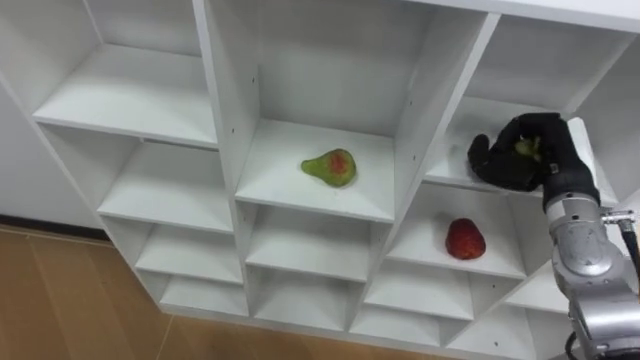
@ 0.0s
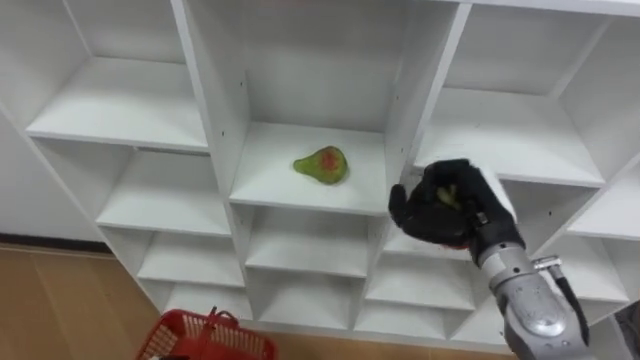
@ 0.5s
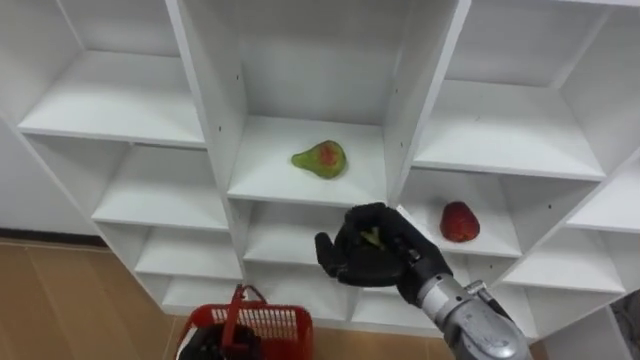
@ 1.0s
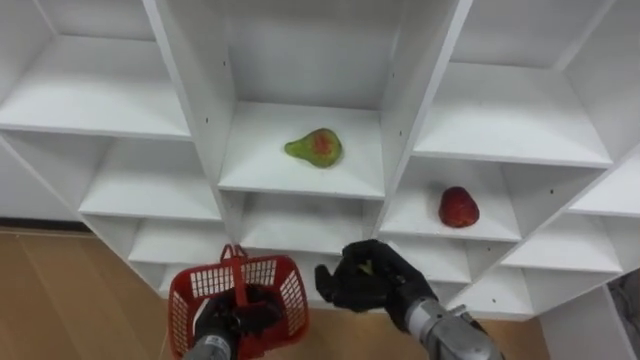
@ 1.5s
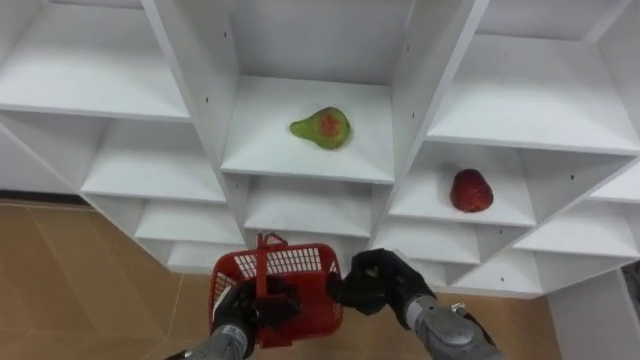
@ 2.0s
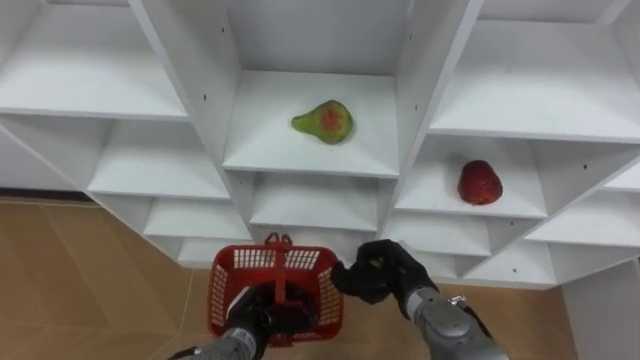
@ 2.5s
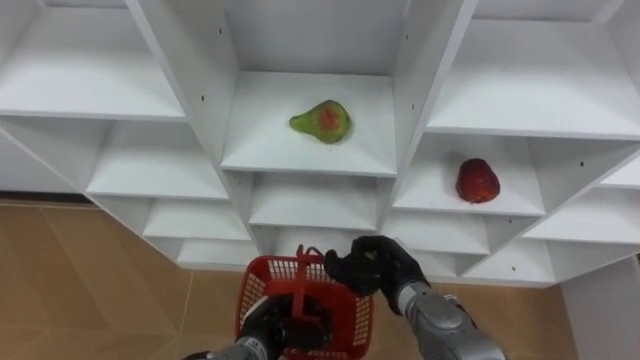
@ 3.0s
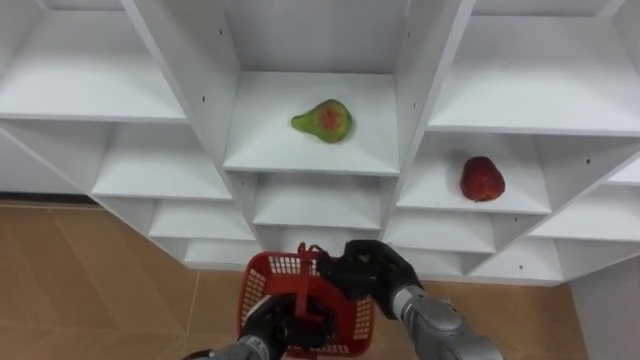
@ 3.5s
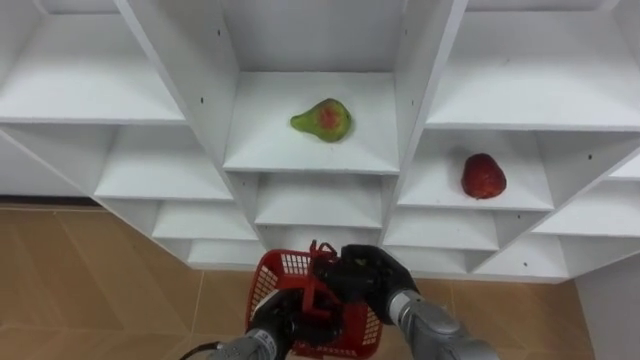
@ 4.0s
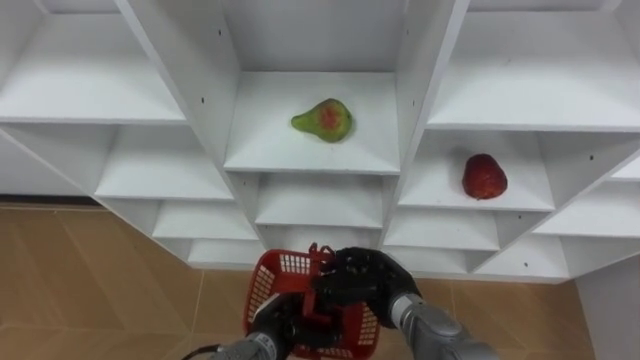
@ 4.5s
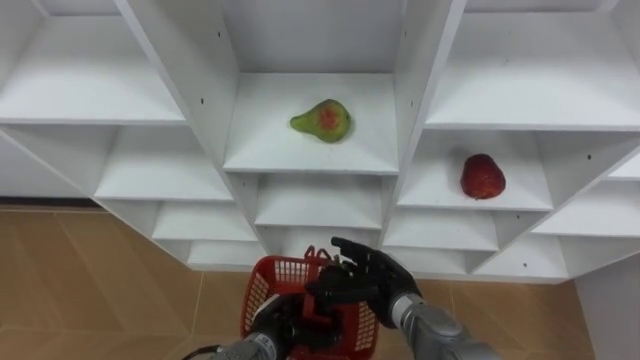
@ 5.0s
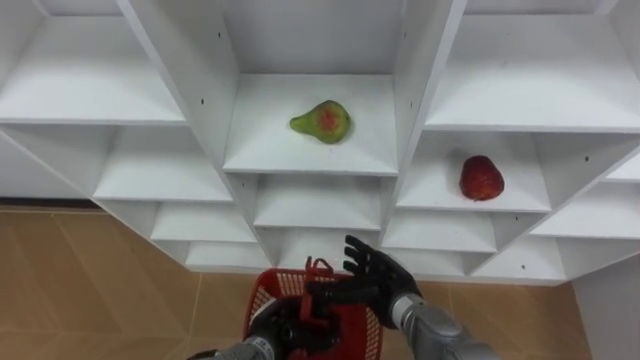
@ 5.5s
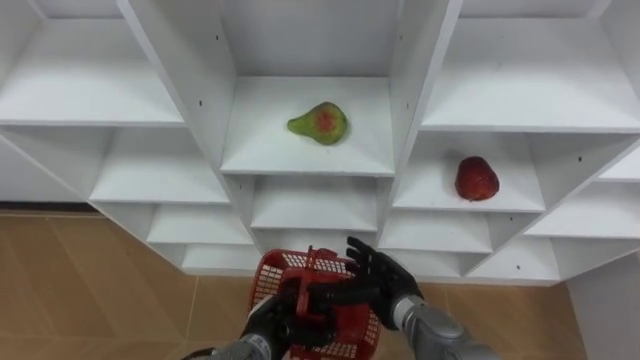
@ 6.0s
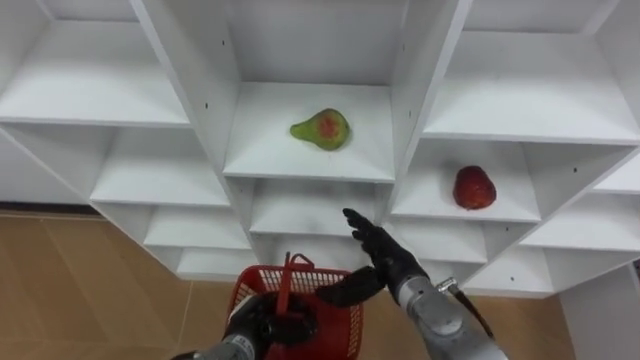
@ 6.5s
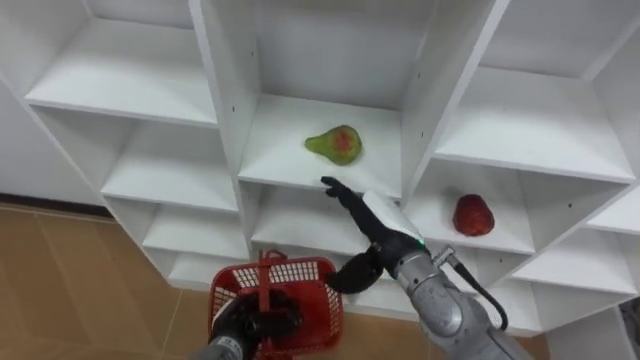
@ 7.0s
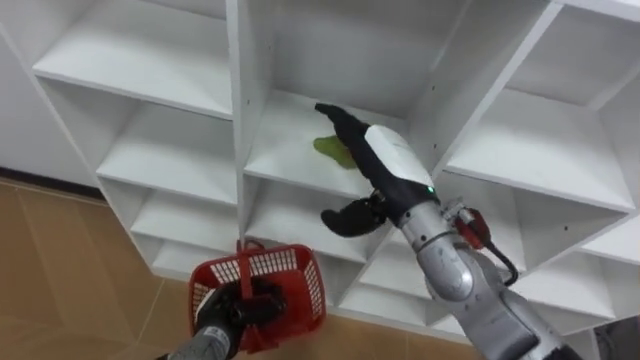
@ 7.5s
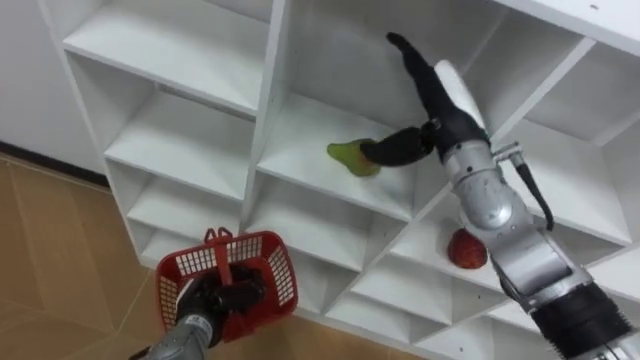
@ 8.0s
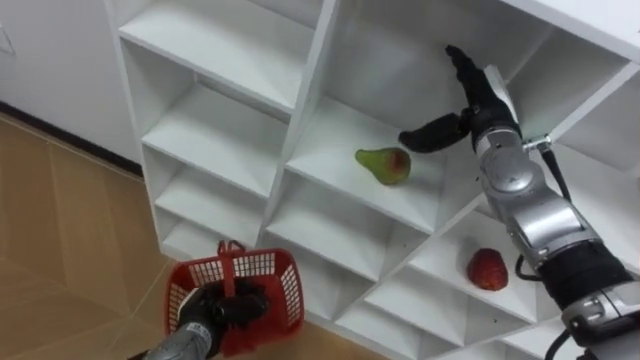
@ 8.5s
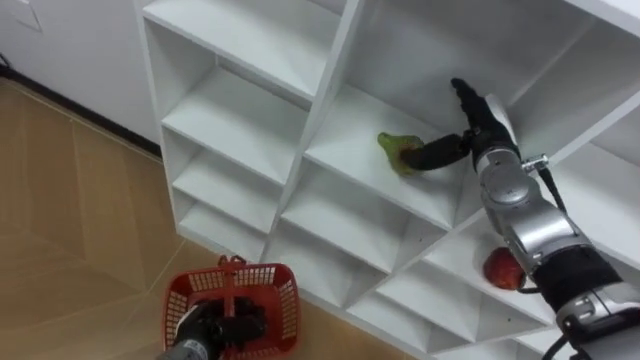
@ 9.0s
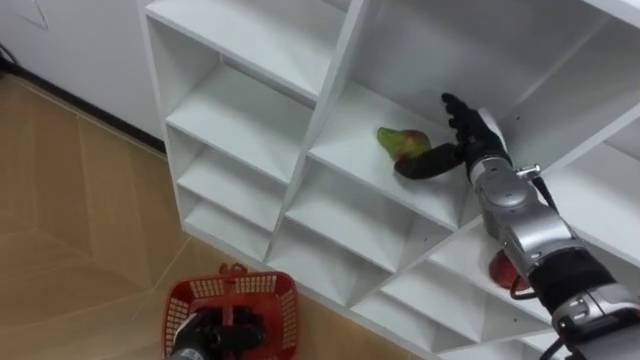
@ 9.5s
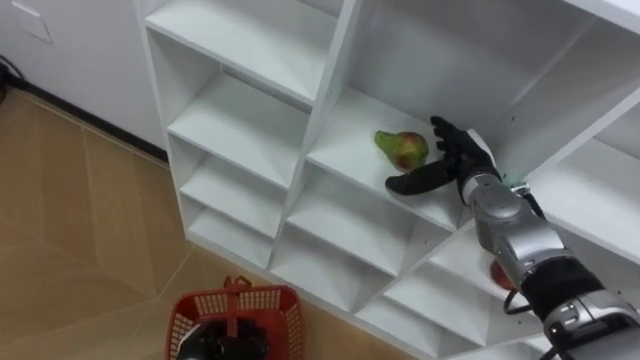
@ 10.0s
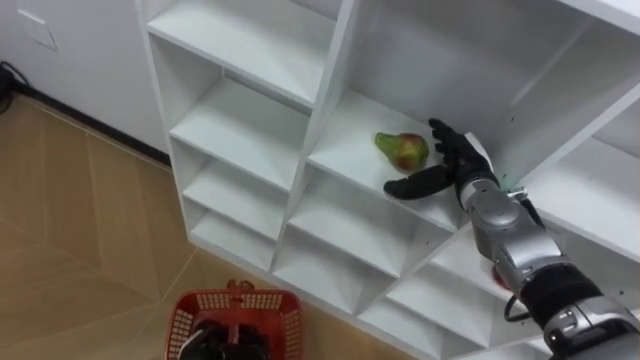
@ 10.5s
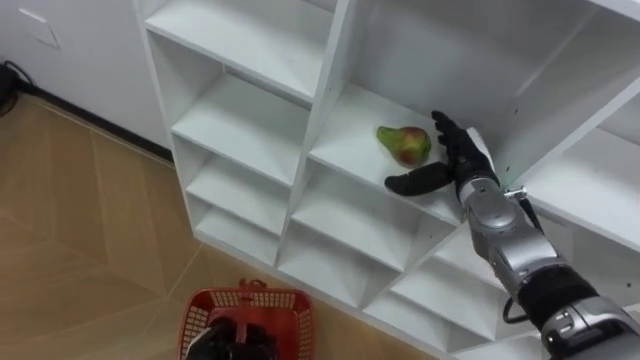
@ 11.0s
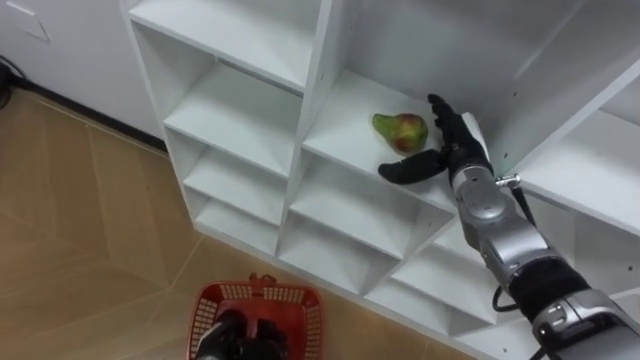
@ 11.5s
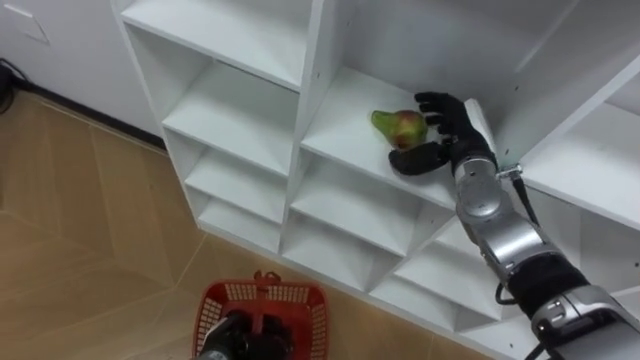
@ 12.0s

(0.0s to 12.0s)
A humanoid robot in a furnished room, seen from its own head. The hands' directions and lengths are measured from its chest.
Task of the whole recording: Hold the basket and collect the fruits from 3 different cells of the closet into it.
0.0s - 2.0s: The right hand goes about 25 cm to the left, downward and backward.
2.0s - 4.0s: The left hand heads to the right, covering roughly 5 cm.
4.0s - 6.0s: The right hand opens.
6.0s - 8.0s: The left hand is displaced to the left by about 10 cm, while the right hand shifts approximately 25 cm upward and forward.
8.0s - 10.0s: The left hand goes about 5 cm backward. The right hand goes about 15 cm downward and to the right.

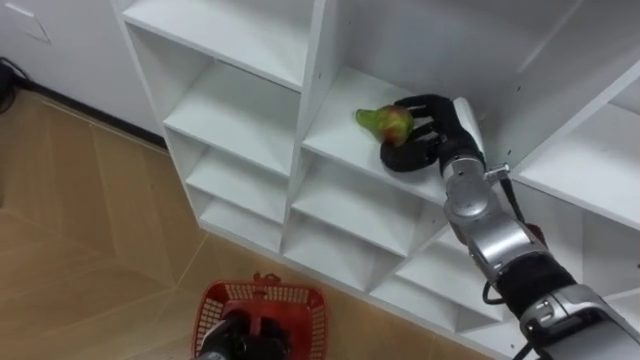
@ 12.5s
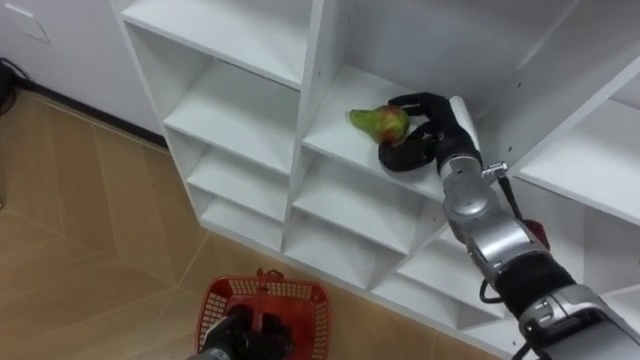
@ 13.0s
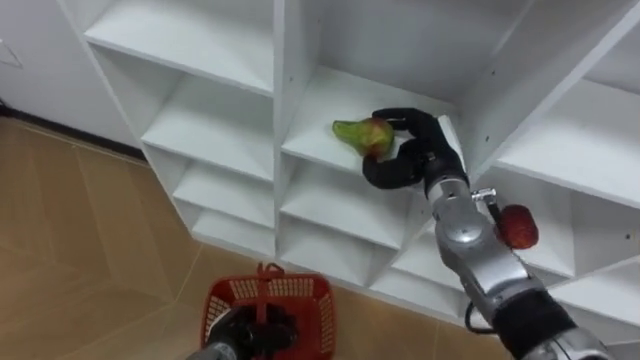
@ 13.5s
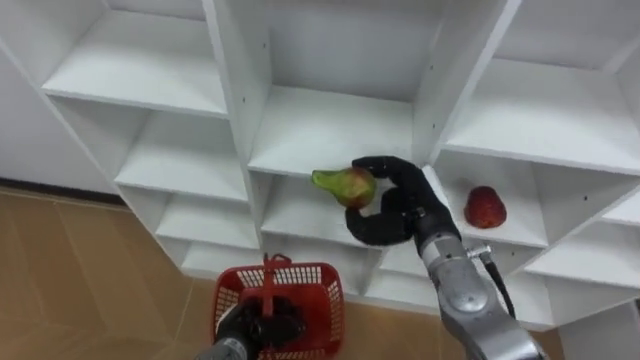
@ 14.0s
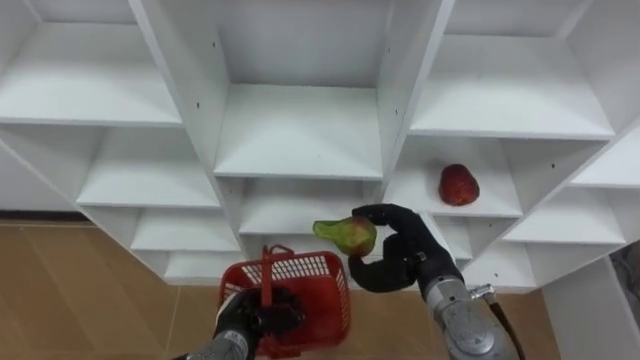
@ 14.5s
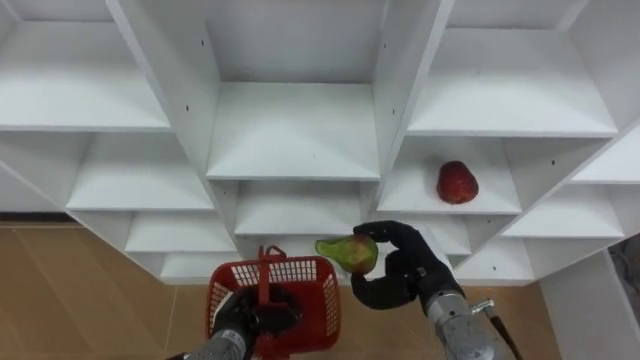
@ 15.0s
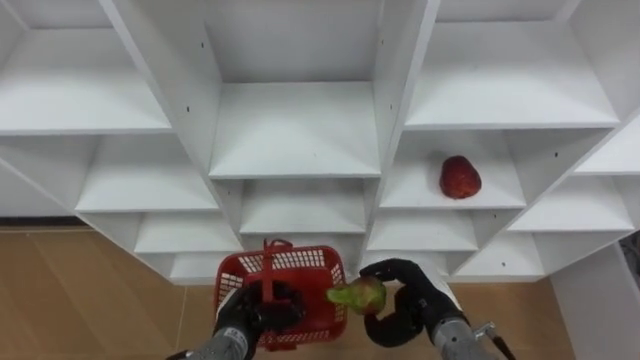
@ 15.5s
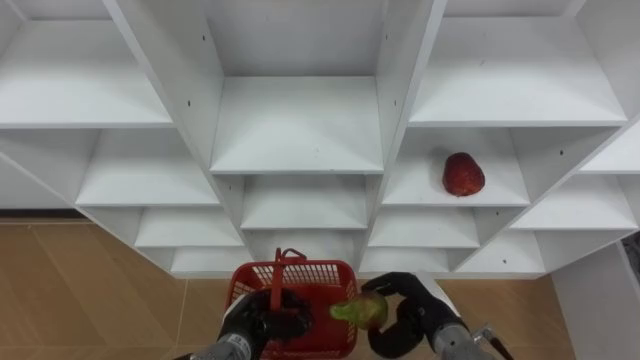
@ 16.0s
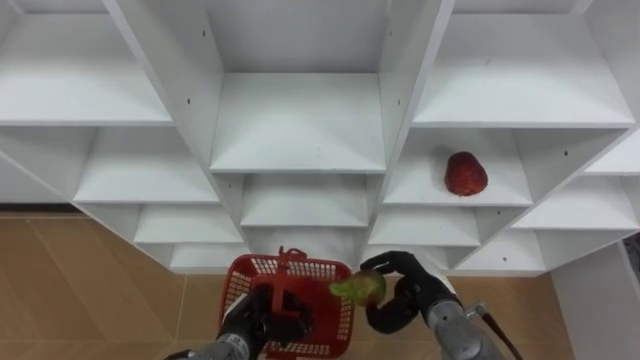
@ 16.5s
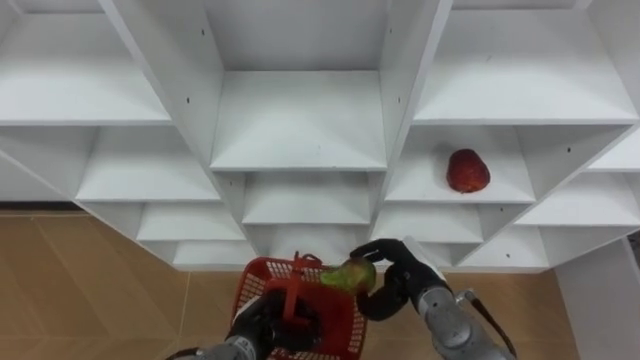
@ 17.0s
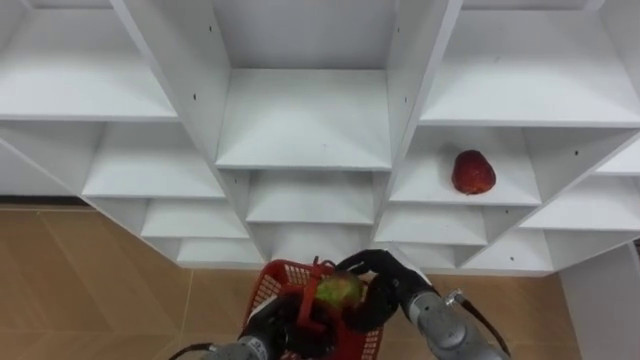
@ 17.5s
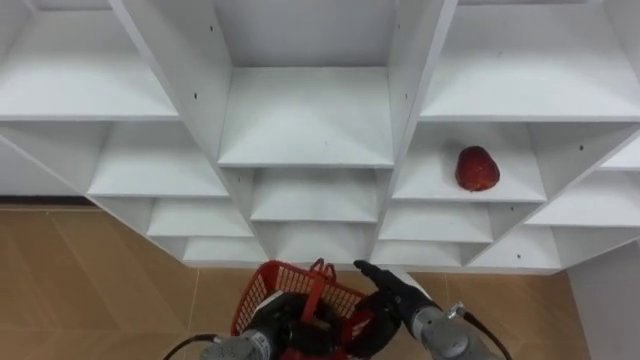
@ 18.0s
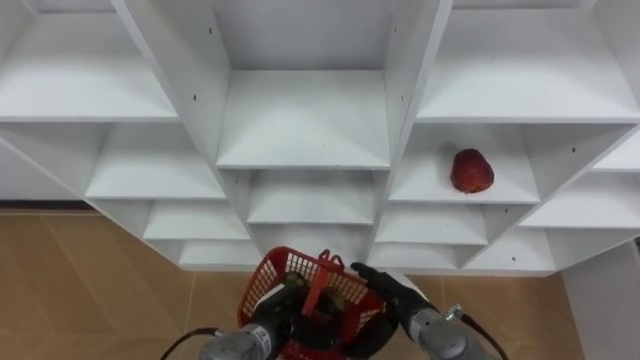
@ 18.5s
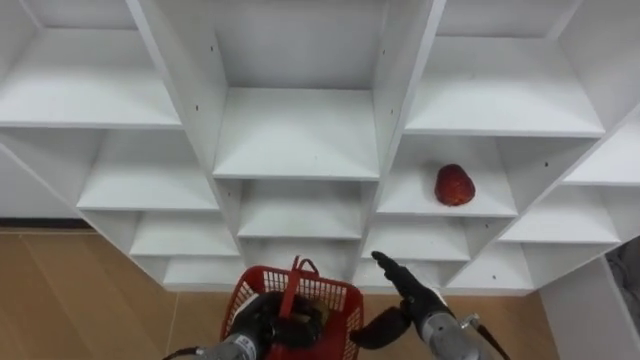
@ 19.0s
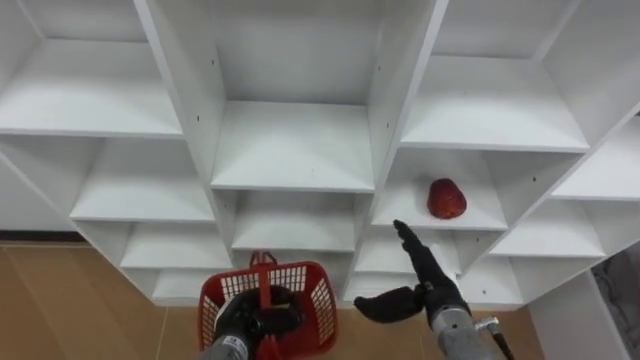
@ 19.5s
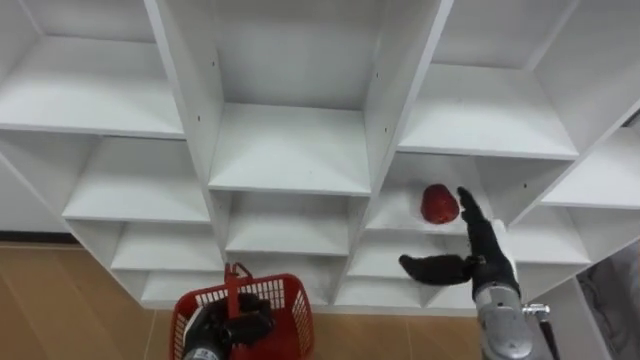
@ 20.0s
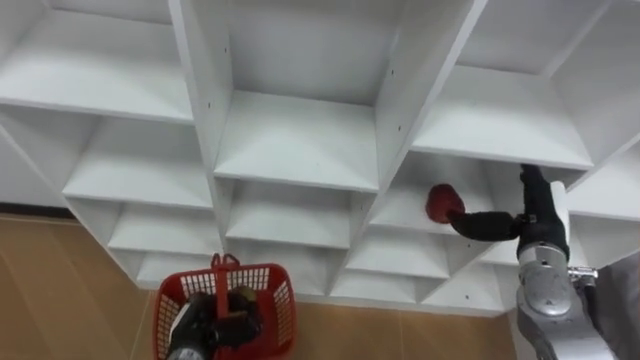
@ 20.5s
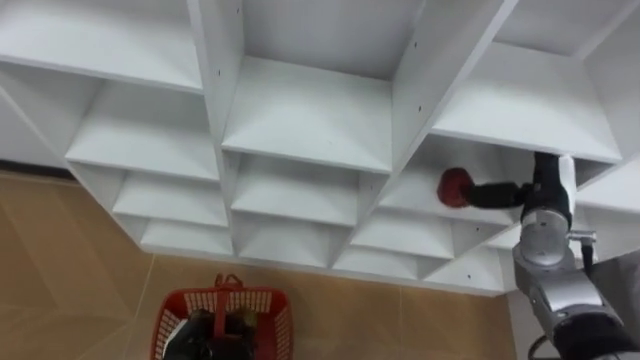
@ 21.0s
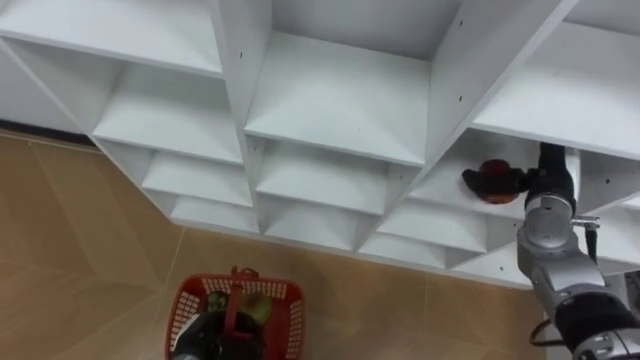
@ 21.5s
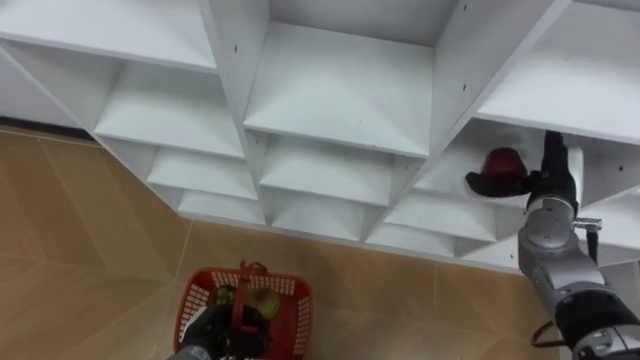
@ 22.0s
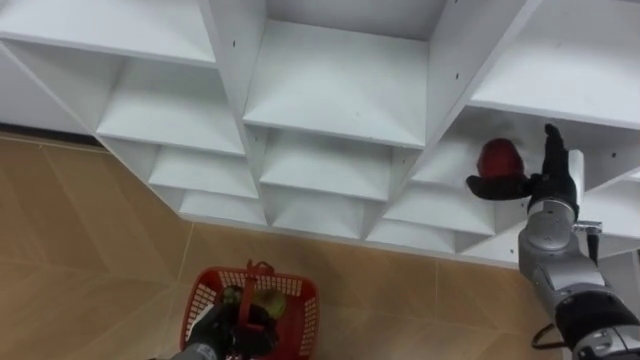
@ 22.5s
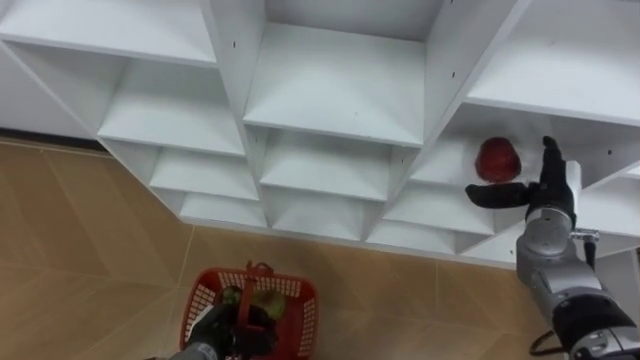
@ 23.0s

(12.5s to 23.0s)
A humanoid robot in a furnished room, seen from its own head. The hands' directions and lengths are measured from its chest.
Task of the whole recording: Hold the basket and collect the fruits from 3 different cells of the closet into it.
12.5s - 14.5s: The right hand goes approximately 15 cm backward and downward.
14.5s - 16.5s: The right hand goes roughly 10 cm downward.
16.5s - 19.0s: The right hand opens up.
19.0s - 21.0s: The right hand shifts roughly 25 cm to the right, upward and forward. The left hand shifts about 10 cm to the left.
